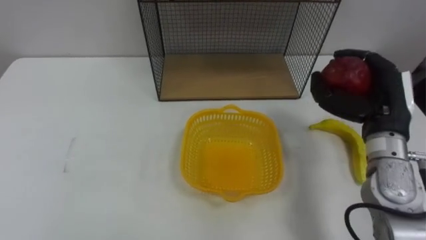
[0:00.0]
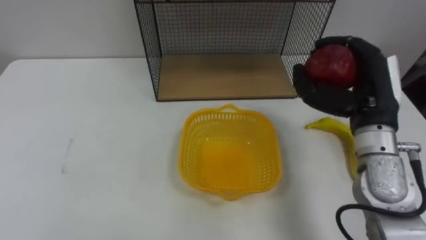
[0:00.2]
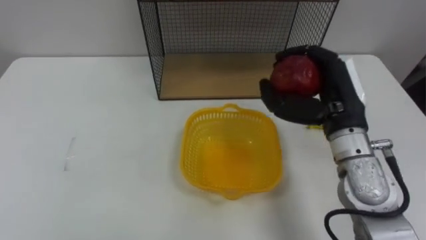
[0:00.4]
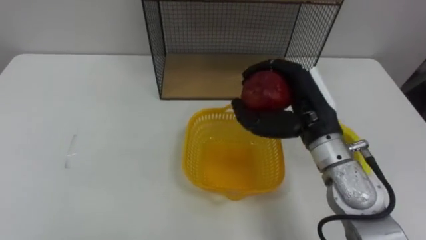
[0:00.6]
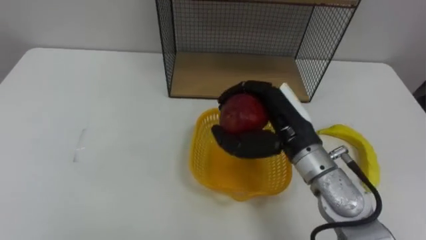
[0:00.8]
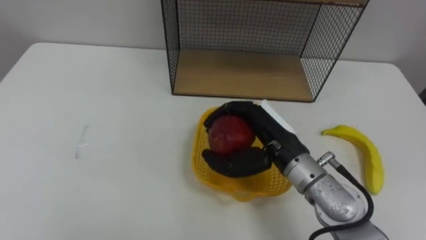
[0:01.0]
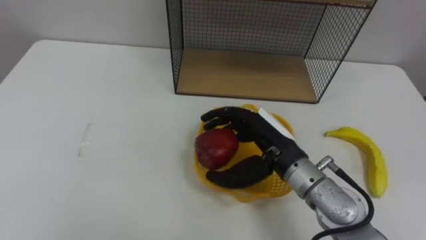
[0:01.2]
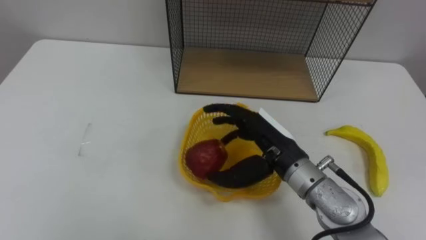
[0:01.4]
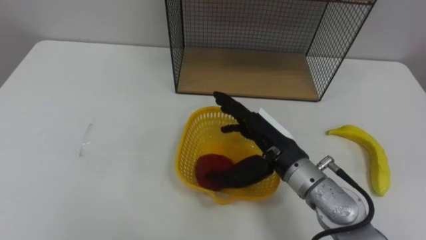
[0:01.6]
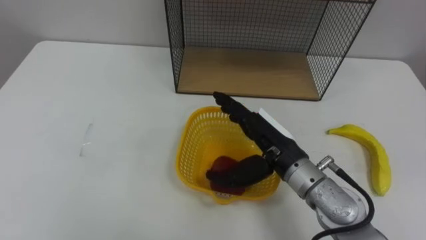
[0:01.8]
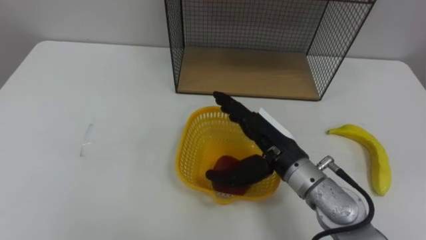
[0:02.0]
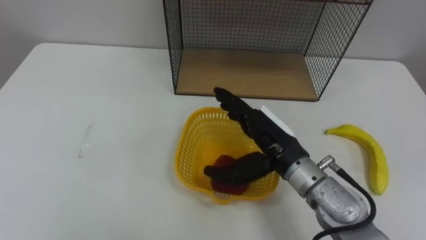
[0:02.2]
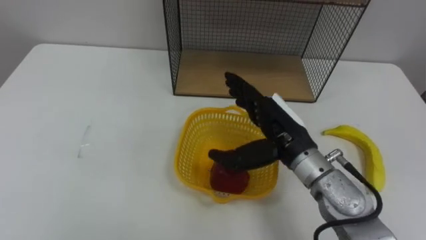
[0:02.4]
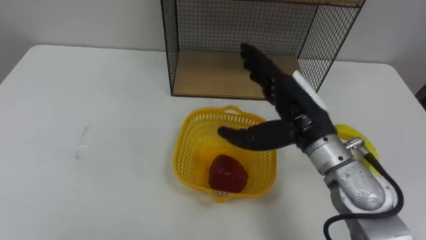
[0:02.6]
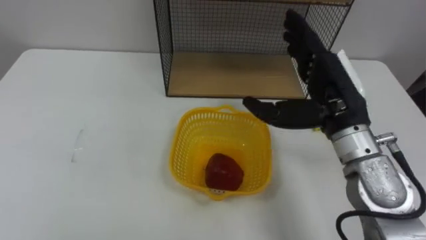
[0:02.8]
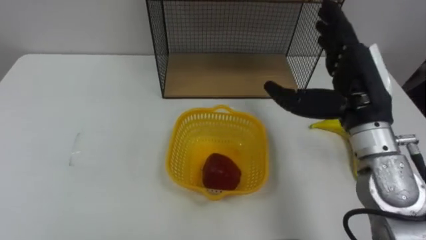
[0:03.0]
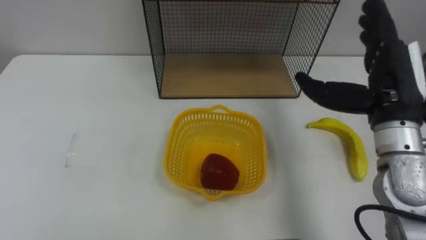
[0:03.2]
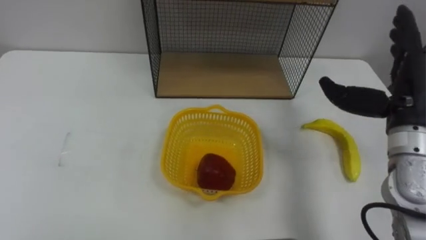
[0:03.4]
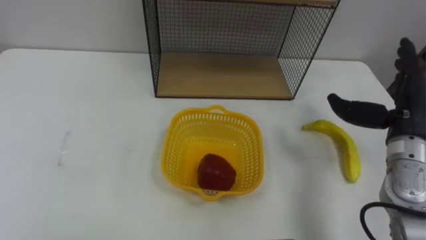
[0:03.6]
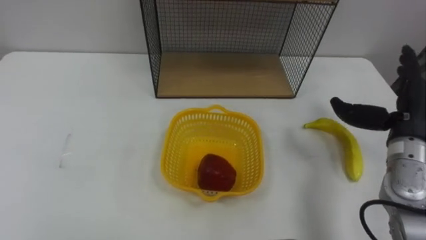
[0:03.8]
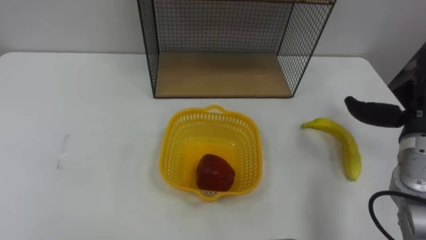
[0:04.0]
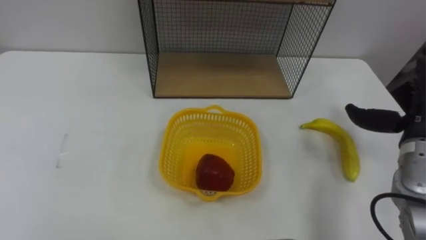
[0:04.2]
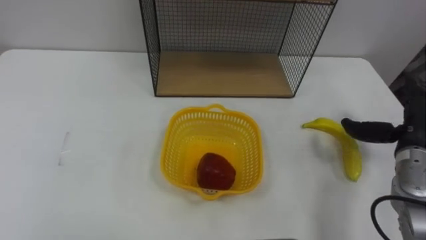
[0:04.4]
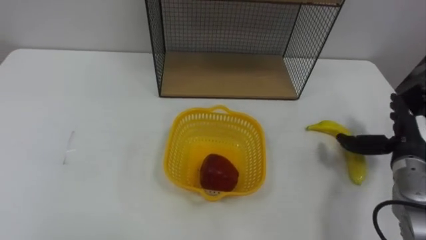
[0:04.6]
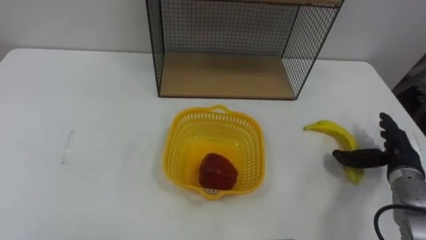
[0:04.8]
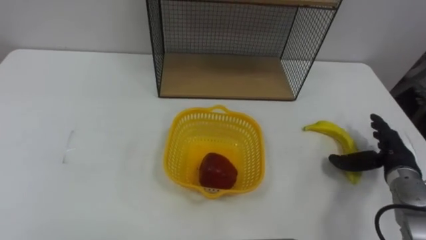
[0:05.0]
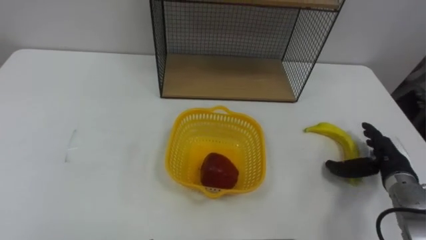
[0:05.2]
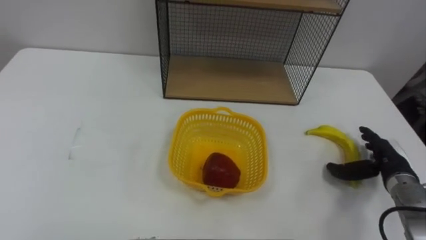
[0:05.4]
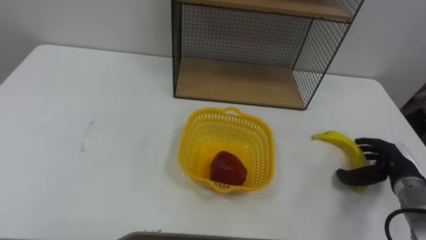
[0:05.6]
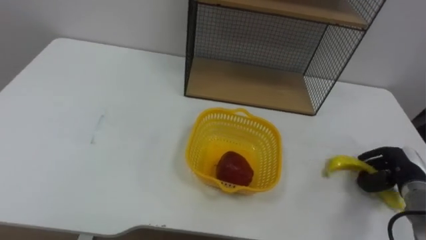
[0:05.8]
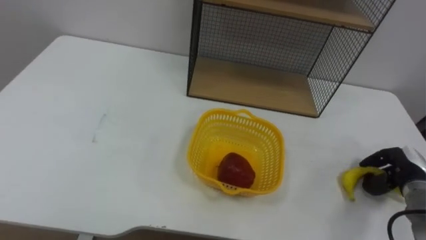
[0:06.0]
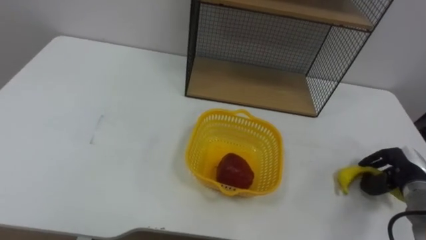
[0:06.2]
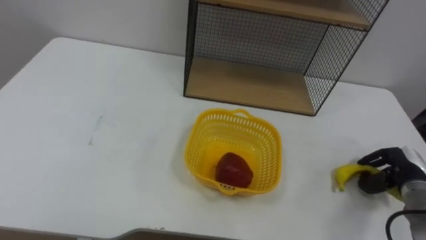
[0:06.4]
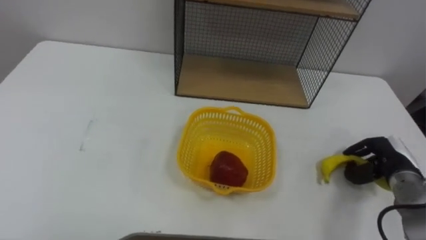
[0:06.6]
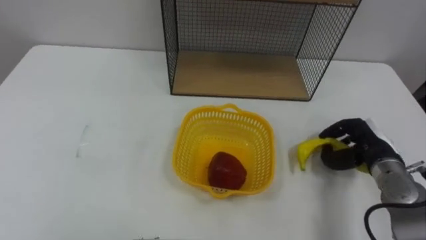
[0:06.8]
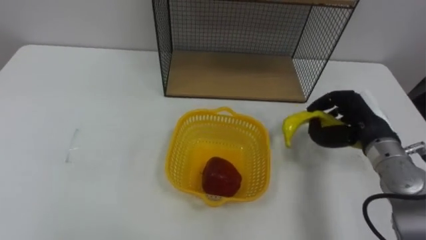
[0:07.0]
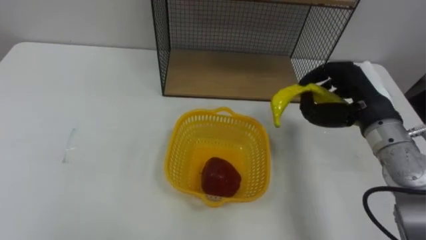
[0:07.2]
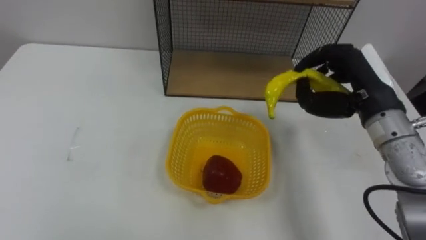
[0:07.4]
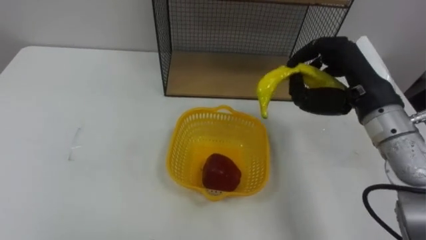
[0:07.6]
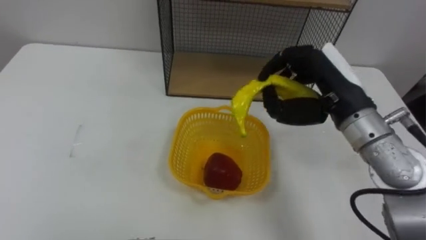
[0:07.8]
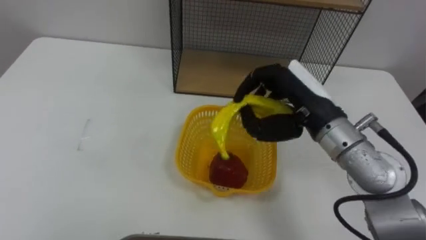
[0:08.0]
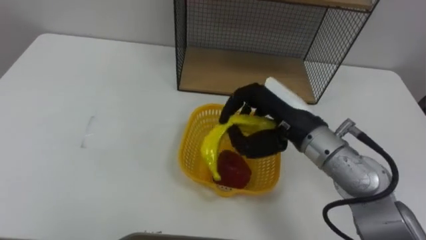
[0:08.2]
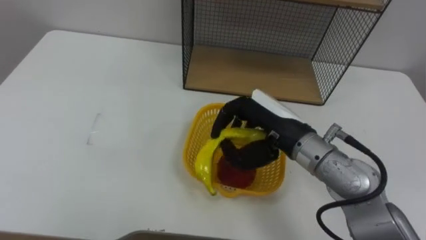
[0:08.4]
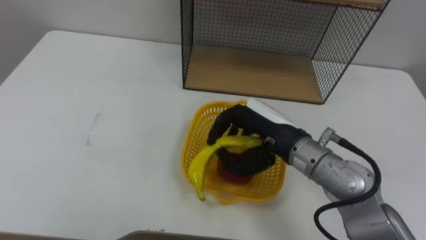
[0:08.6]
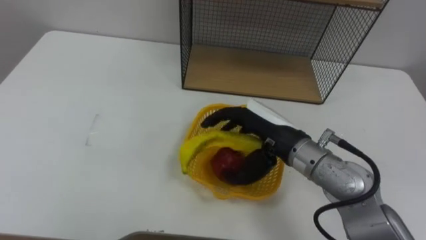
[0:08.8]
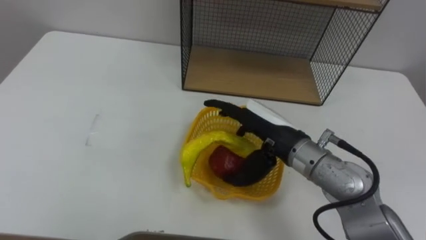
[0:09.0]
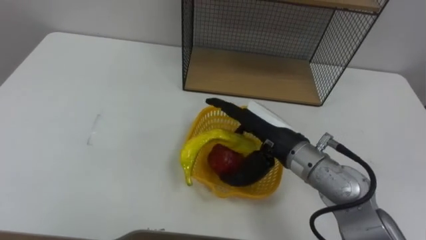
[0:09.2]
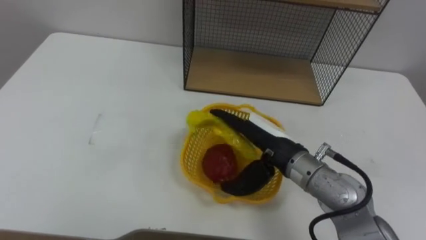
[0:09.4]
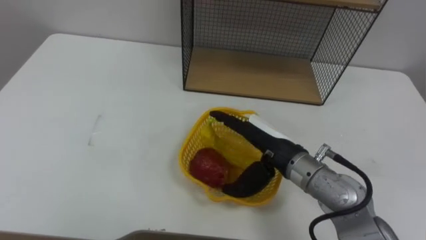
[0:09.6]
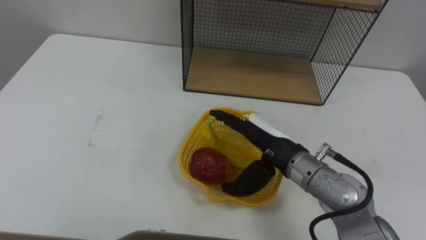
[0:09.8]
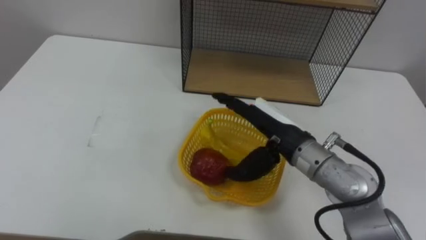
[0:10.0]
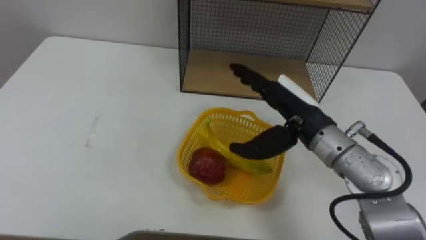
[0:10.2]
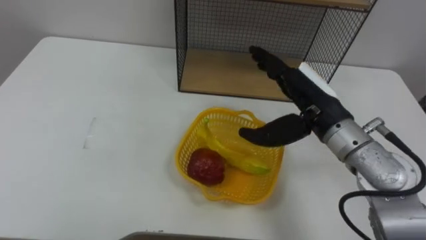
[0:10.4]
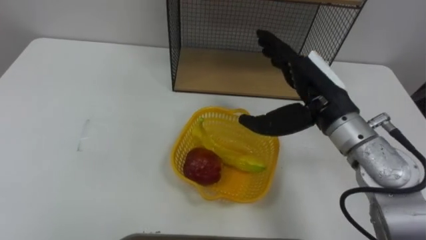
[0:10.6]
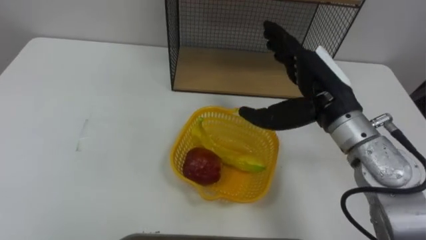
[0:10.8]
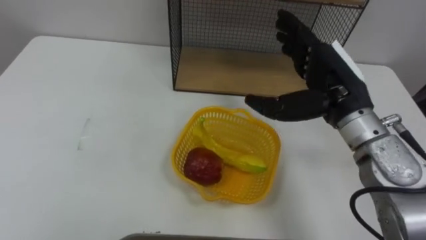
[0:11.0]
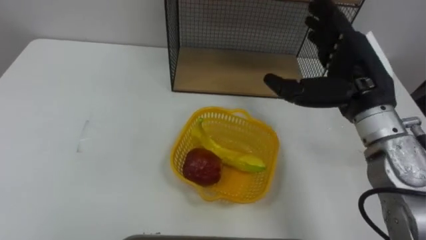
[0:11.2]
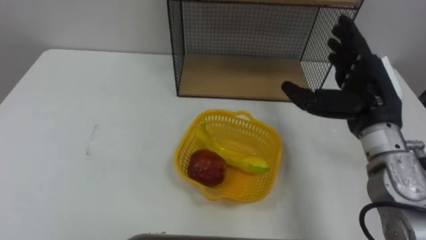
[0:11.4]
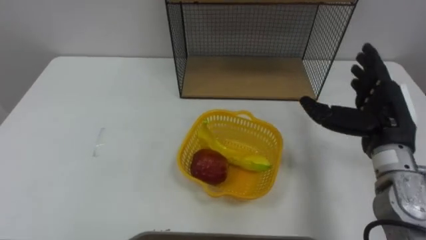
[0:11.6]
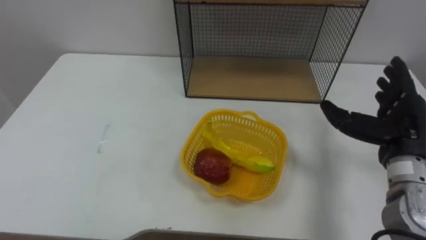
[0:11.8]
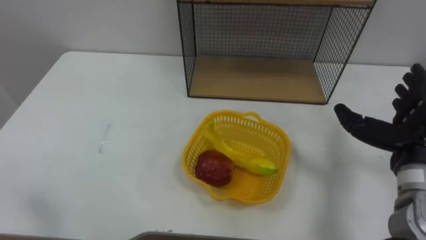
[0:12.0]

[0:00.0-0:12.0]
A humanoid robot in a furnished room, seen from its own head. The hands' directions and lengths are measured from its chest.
Task of the whole recording: Put the fruit on the table into the basket, then place the basket on the shelf.
0:00.0 to 0:01.6: The right hand travels to the left by some 15 cm, and opens.
0:01.6 to 0:03.0: The right hand moves to the right and upward, approximately 15 cm.
0:04.4 to 0:06.0: The right hand shifts approximately 10 cm downward, and closes up.
0:06.0 to 0:07.6: The right hand moves upward and to the left, roughly 25 cm.
0:07.6 to 0:09.0: The right hand heads to the left and downward, covering some 15 cm, and opens up.
0:09.0 to 0:10.4: The right hand heads to the right, covering about 5 cm.
0:10.4 to 0:12.0: The right hand is displaced to the right by approximately 15 cm.

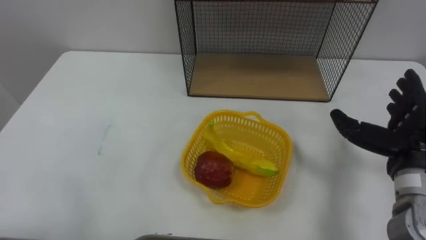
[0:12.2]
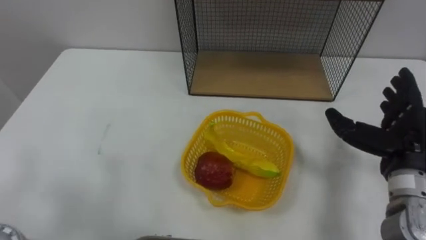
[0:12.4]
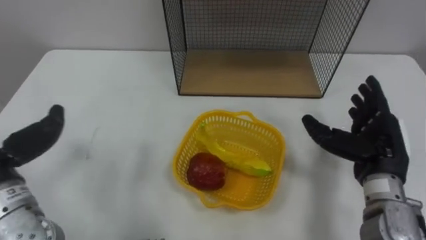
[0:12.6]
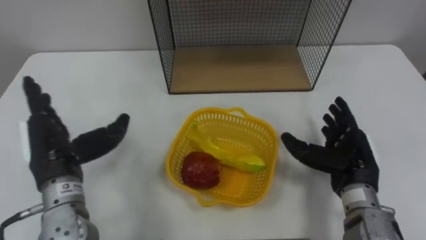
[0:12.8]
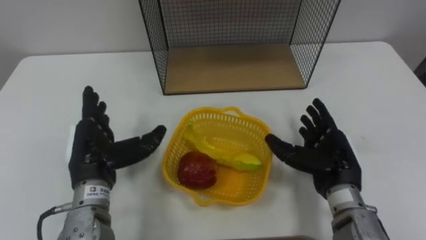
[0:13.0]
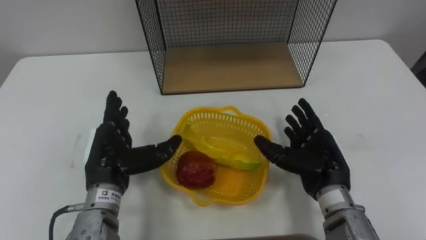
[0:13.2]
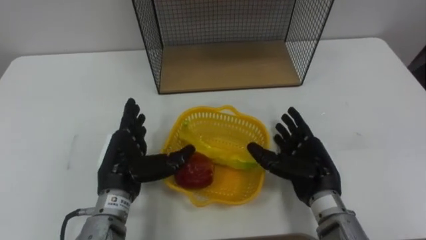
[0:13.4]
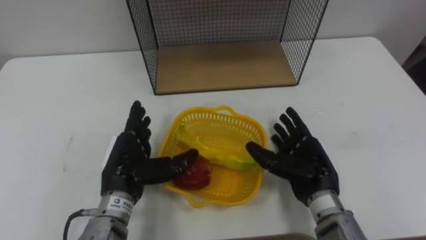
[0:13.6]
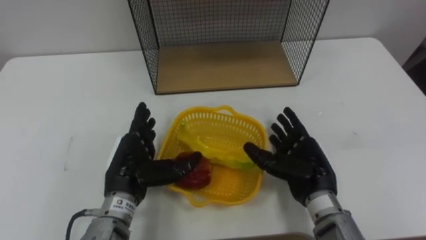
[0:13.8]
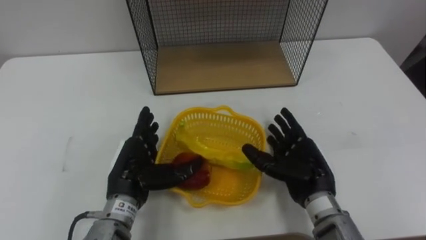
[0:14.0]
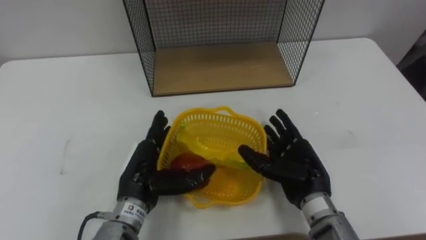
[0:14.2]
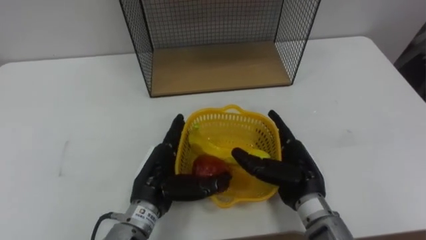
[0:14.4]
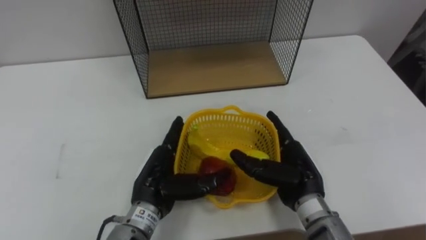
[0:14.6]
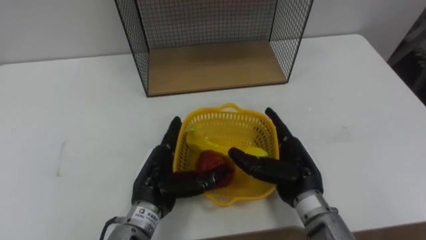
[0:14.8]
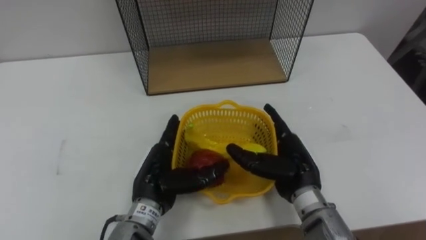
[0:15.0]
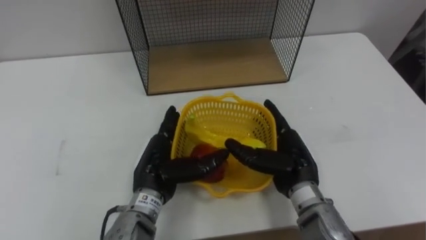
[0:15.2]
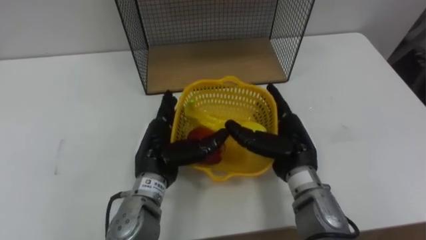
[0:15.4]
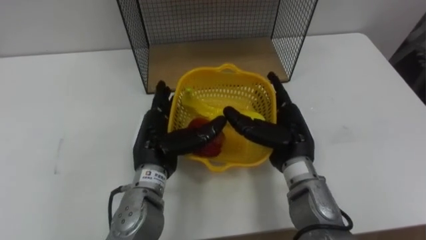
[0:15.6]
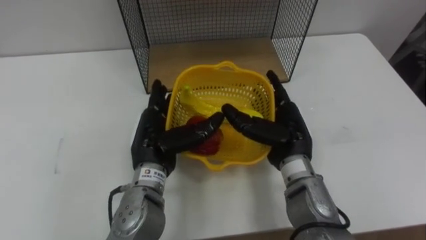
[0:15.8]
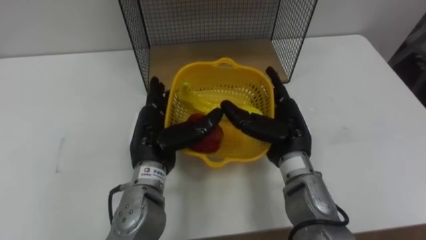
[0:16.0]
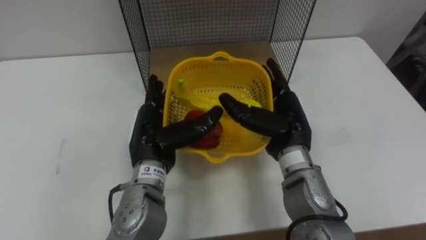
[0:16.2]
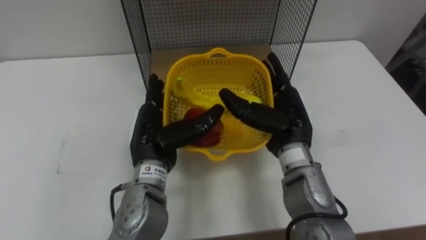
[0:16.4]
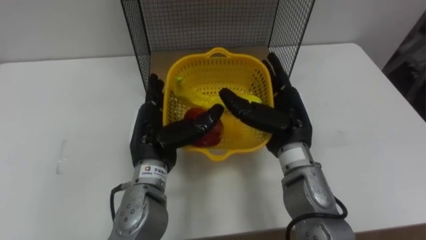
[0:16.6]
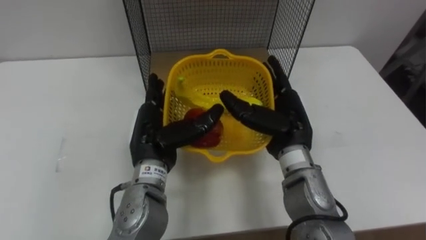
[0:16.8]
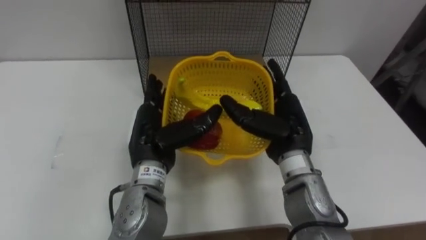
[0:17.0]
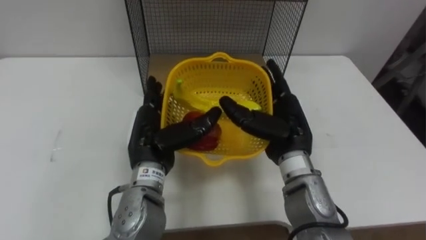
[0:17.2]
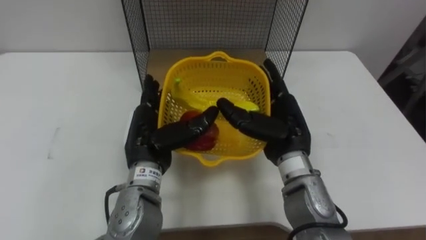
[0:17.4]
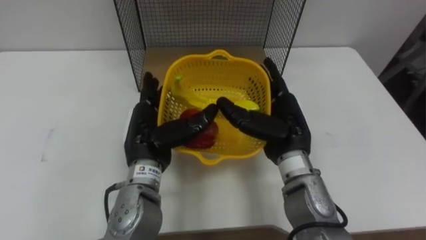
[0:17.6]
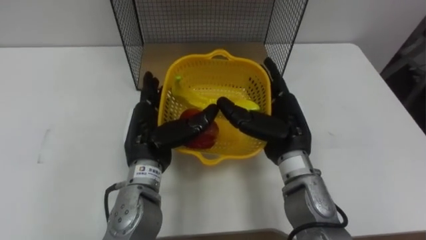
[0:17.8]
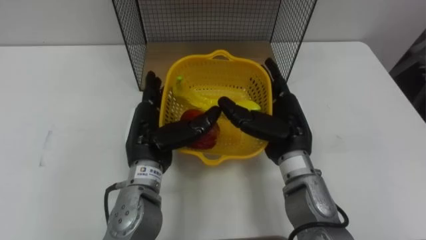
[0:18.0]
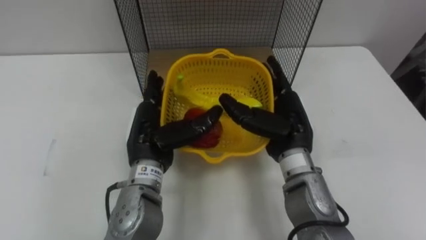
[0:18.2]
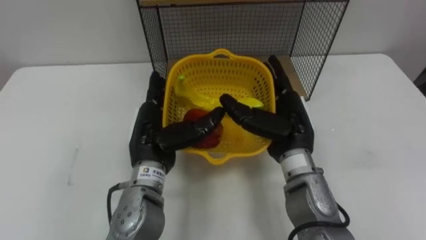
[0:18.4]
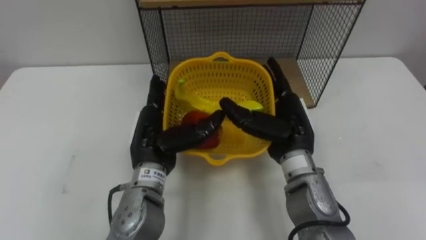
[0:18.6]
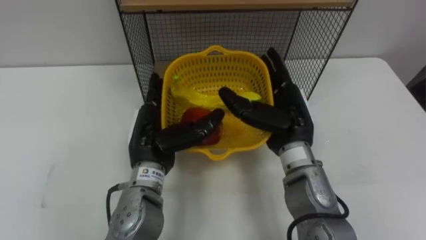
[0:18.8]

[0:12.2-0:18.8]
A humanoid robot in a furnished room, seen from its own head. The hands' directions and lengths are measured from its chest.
Task of the whole recording: Put the fruit on the table into the basket, then place the basket on the shelf.
0:12.2 to 0:13.8: The right hand is displaced to the left and downward by approximately 15 cm.
0:13.8 to 0:15.4: The left hand travels to the right by approximately 5 cm. The right hand shifts by about 5 cm.
